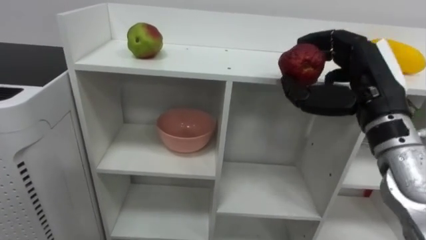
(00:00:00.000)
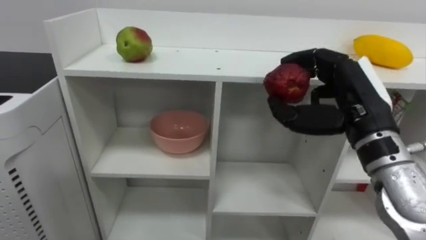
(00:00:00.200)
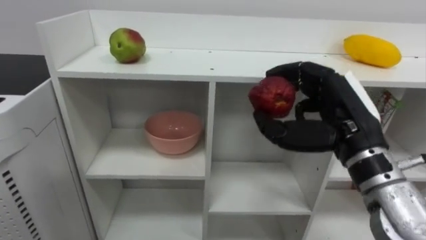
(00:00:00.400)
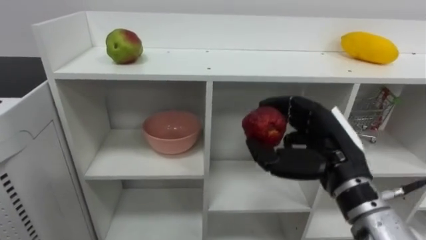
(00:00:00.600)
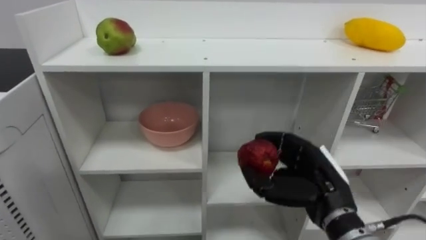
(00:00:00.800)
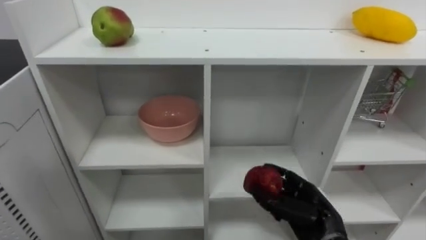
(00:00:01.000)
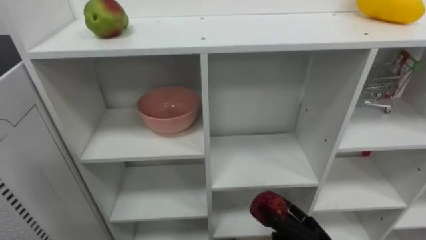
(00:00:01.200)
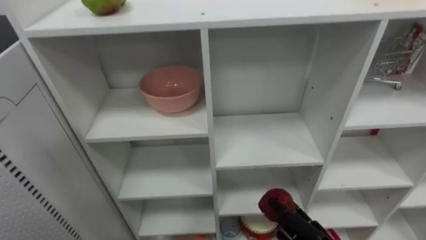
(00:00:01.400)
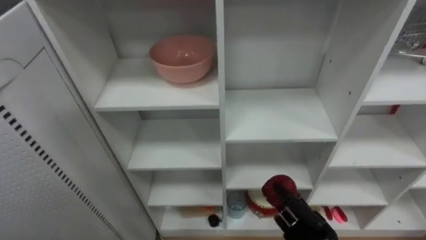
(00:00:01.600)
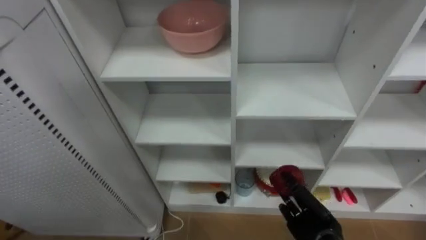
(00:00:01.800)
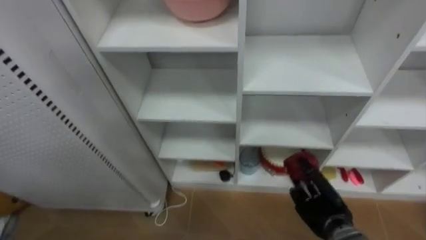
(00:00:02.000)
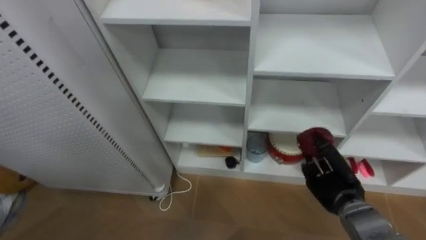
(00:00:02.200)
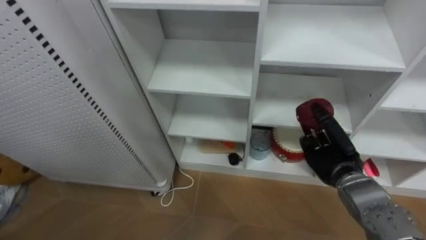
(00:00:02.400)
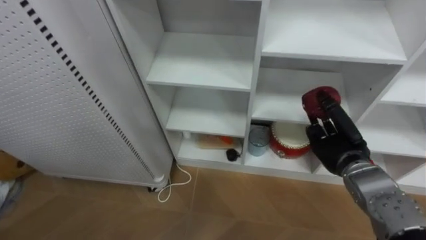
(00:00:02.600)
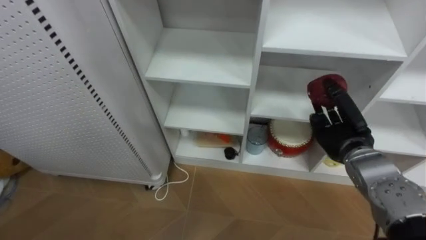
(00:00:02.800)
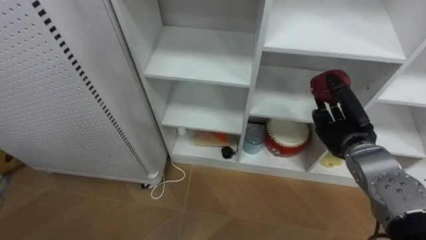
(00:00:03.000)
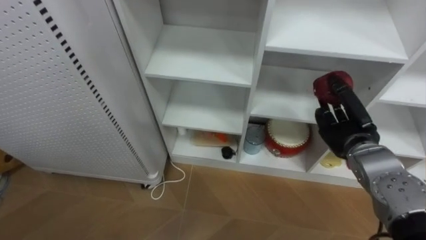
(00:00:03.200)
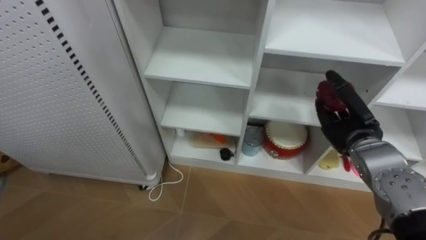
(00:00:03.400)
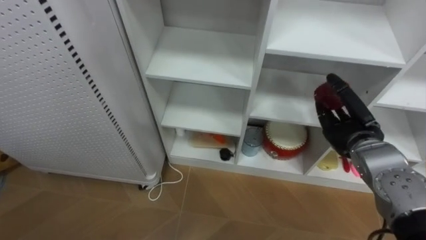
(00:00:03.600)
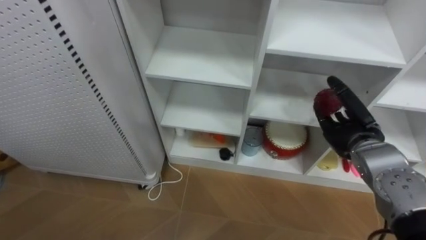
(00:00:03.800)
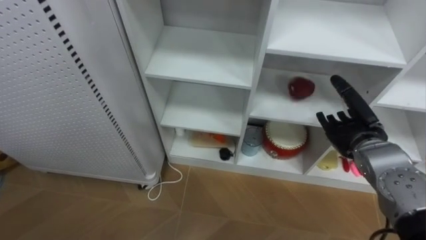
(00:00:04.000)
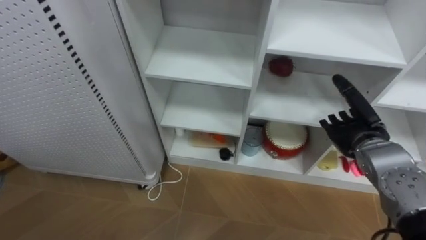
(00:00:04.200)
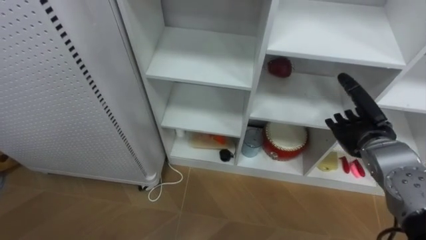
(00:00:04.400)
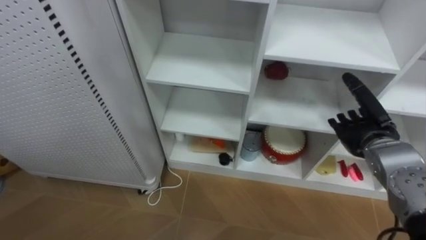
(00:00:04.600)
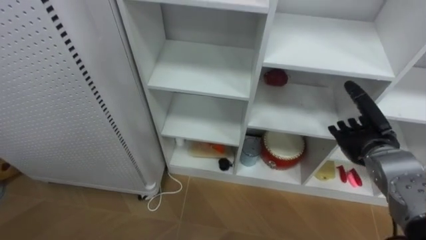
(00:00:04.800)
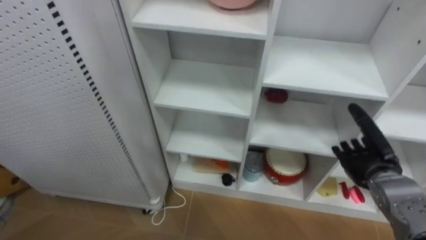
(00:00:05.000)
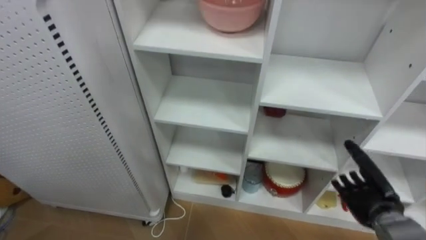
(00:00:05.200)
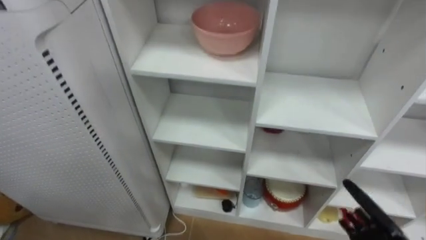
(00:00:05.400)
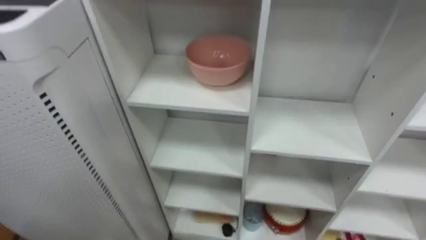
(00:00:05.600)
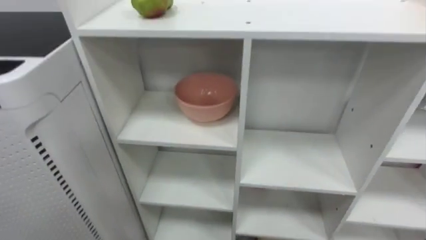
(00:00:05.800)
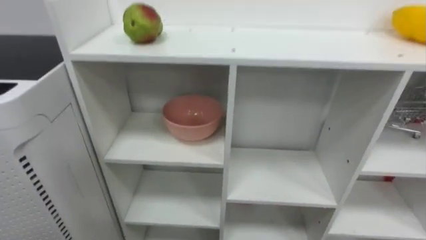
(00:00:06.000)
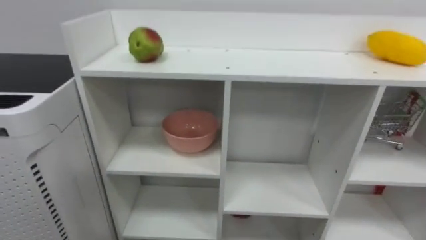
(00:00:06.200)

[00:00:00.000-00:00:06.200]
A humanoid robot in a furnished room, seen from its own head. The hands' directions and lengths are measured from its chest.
Task of the whole recording: Put the apple in the cell in the second column from the left and the second row from the top.
00:00:01.600 to 00:00:03.200: The right hand goes approximately 20 cm upward and forward.
00:00:03.200 to 00:00:04.600: The right hand opens its fingers.

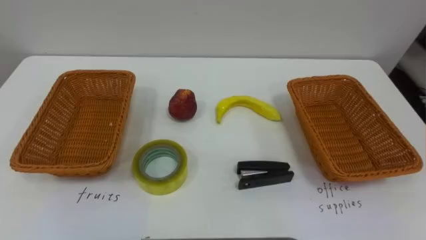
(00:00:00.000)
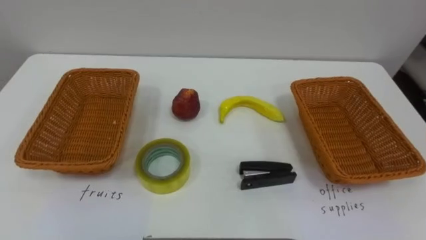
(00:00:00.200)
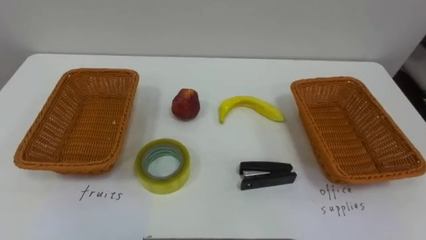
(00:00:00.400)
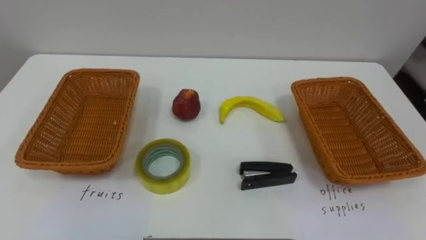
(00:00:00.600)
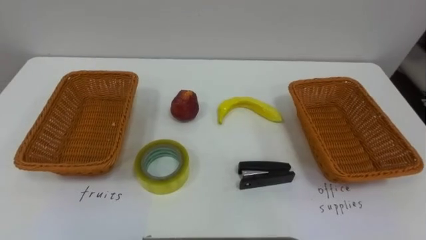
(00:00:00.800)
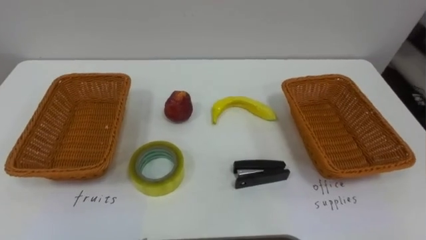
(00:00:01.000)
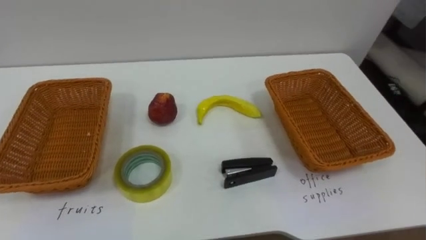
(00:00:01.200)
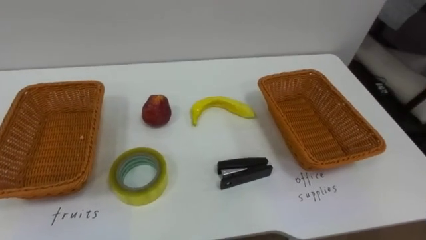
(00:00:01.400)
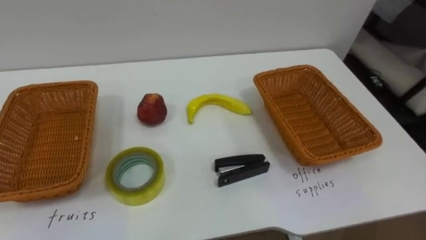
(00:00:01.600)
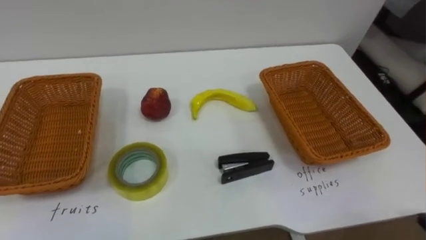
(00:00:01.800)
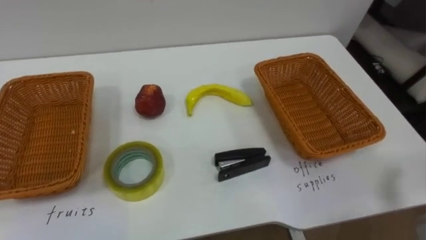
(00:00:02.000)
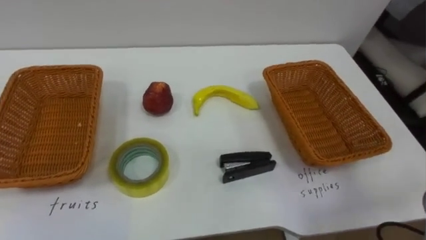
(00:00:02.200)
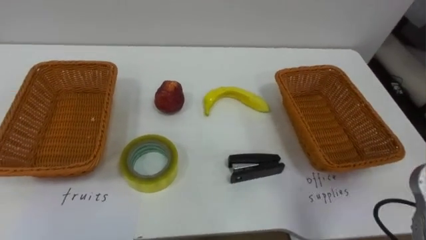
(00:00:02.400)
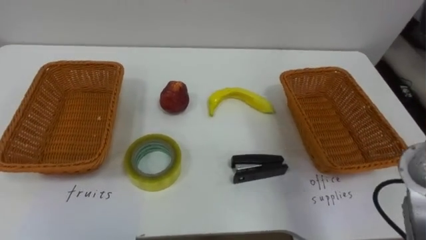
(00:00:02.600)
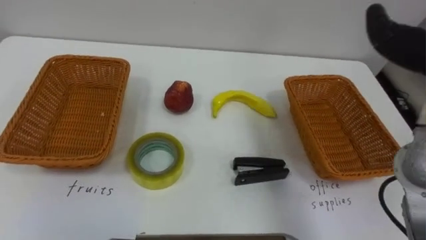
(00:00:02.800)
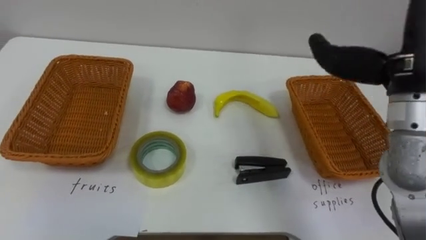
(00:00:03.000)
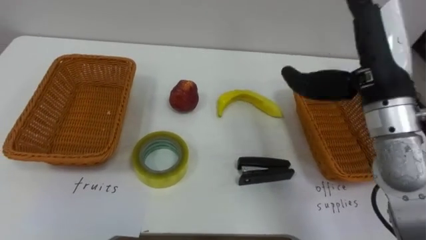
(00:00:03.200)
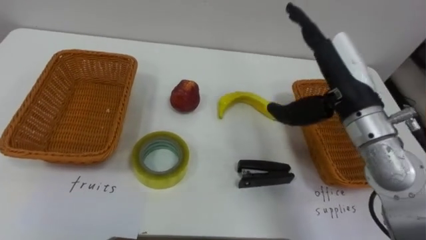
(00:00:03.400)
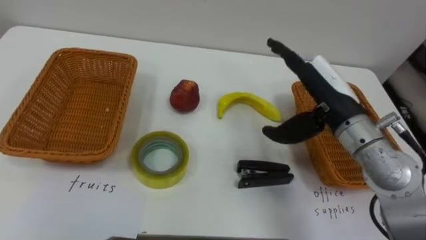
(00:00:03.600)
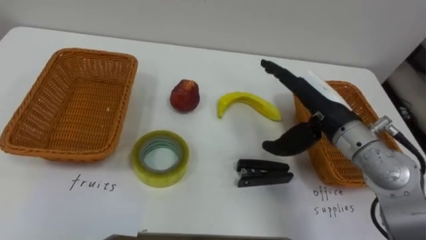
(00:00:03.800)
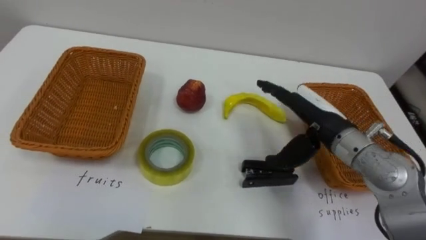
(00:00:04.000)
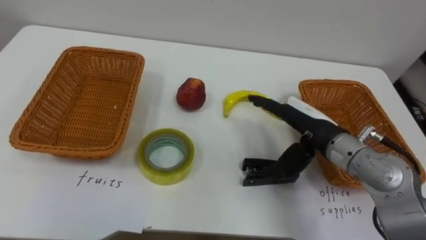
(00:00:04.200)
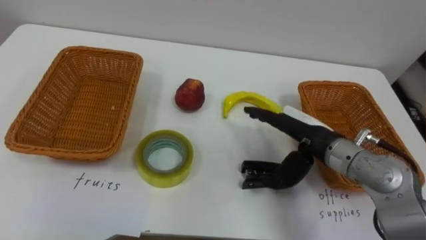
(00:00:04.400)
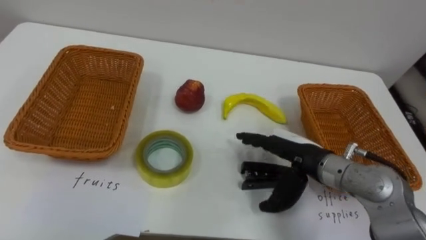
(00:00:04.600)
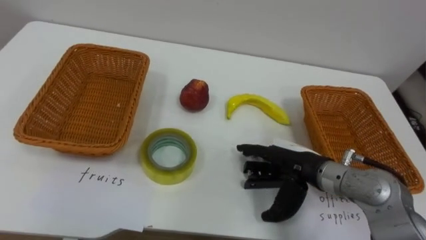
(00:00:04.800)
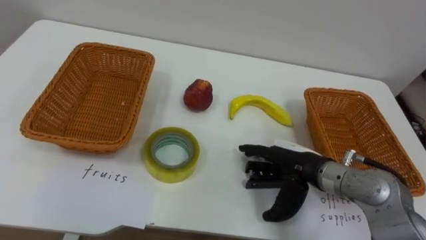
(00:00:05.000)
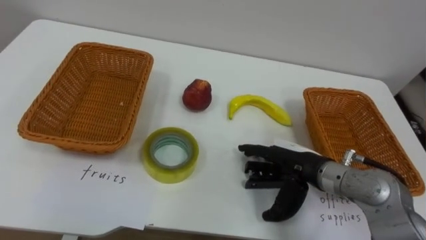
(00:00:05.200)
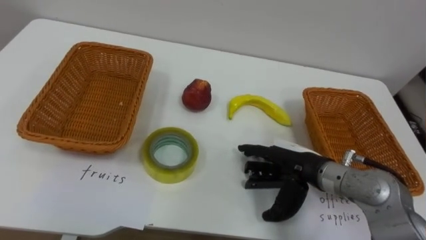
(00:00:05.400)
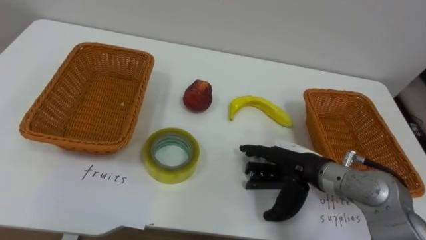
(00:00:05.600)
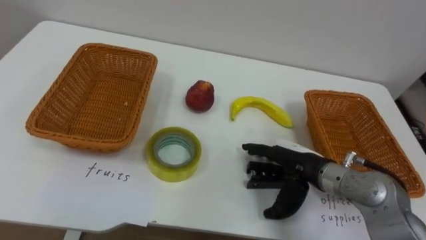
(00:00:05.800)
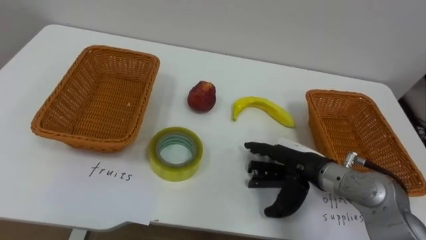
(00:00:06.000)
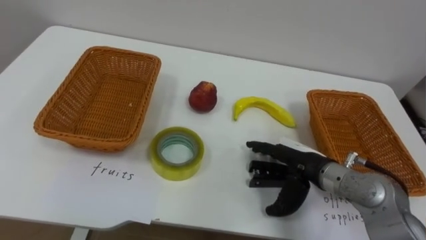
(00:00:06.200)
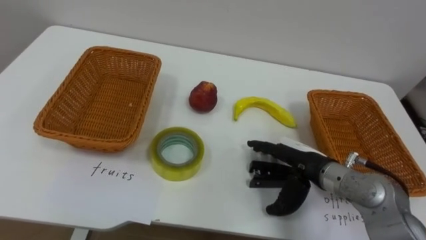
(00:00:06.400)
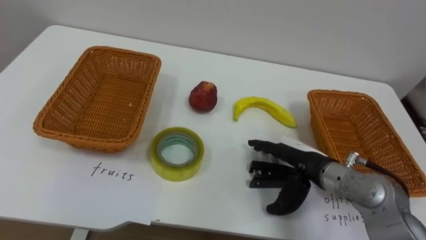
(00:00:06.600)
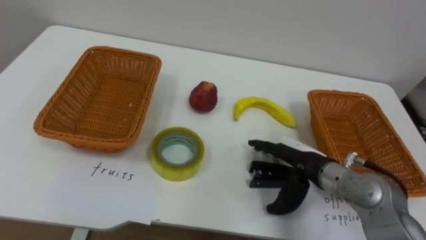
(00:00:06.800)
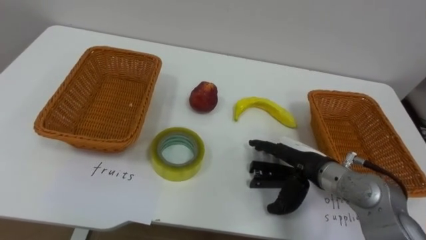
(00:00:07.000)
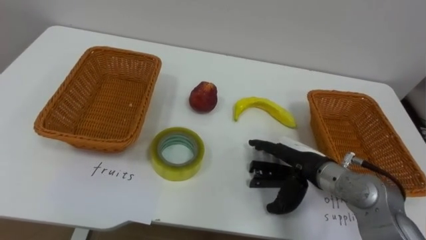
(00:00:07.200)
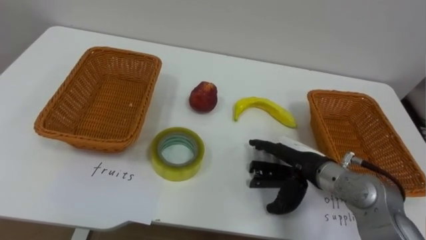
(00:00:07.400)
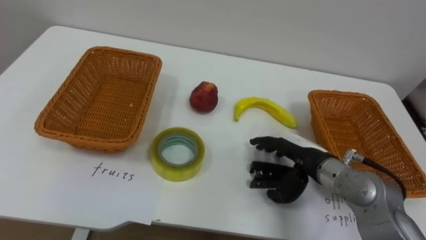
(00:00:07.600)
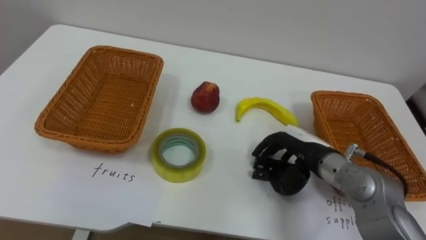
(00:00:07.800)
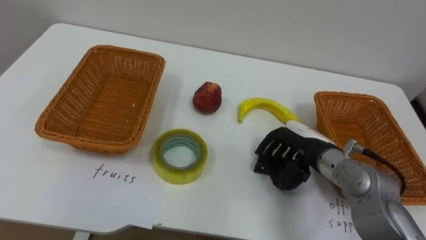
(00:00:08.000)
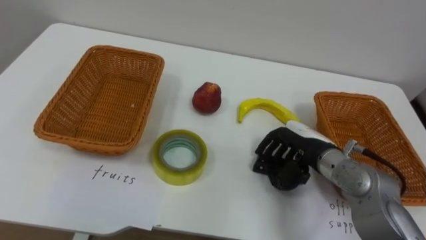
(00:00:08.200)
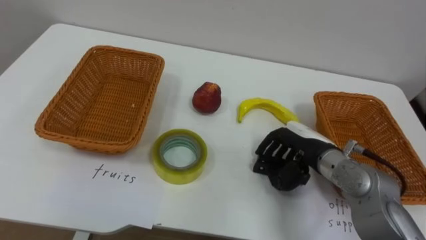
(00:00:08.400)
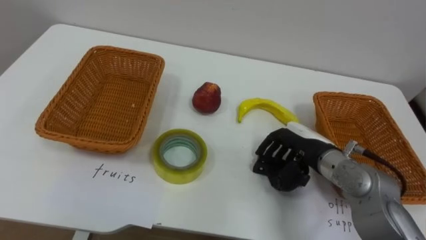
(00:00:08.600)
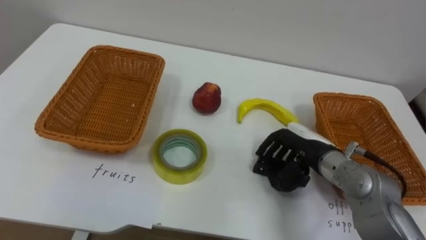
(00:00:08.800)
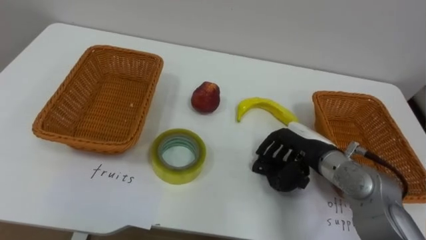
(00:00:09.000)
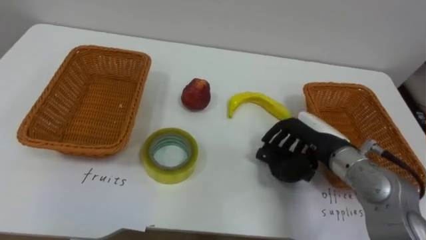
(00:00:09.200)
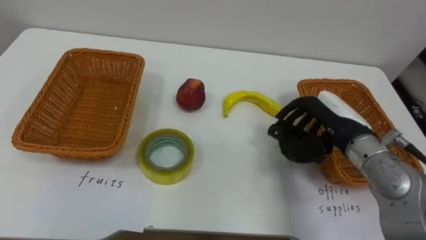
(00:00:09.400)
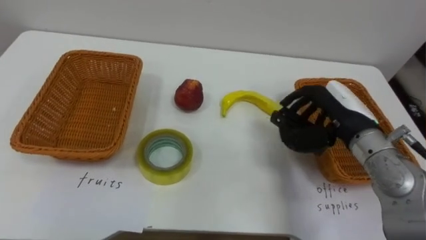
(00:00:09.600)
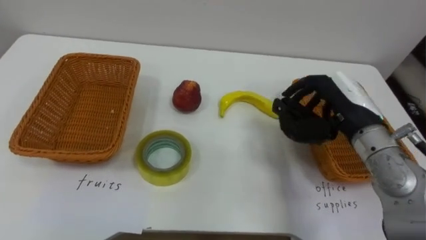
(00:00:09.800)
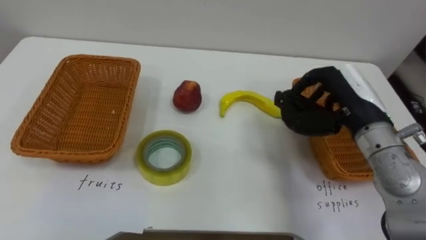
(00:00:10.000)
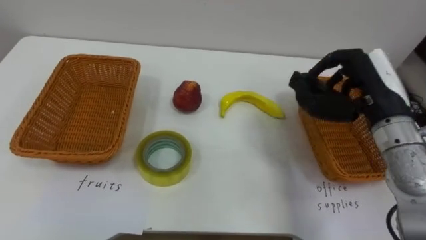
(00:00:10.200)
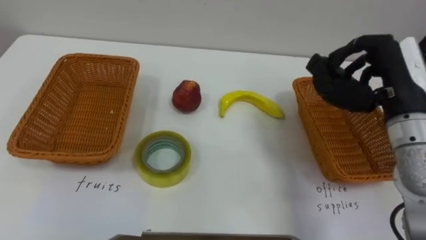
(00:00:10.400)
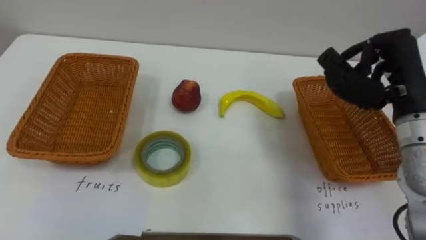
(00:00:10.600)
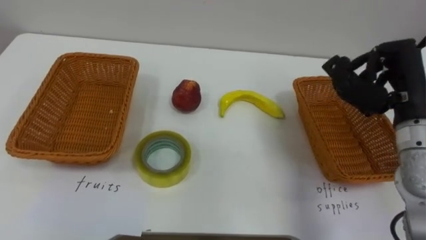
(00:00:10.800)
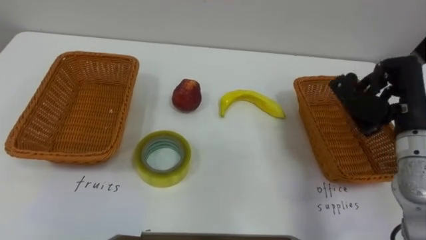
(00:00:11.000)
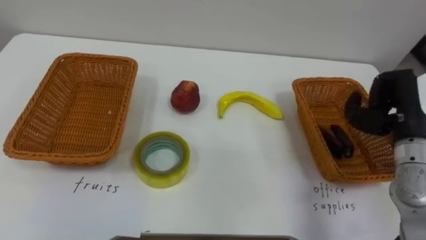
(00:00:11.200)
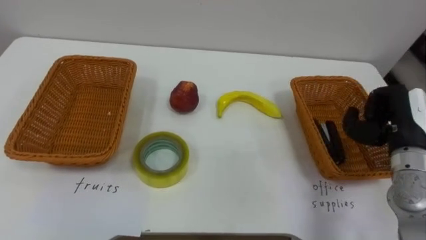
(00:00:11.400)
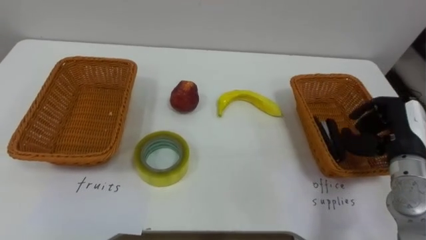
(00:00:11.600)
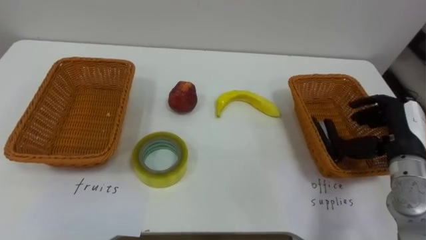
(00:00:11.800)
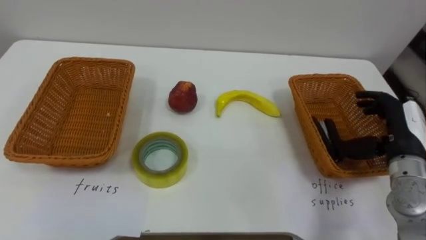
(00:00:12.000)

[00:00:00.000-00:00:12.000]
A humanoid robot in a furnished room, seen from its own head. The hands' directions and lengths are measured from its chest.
Task of the whole recording: Separate the items on the table and place them into the two baskets.
00:00:03.000 to 00:00:04.400: The right hand goes roughly 20 cm downward and to the left.
00:00:04.400 to 00:00:06.000: The right hand shifts some 5 cm downward.
00:00:07.600 to 00:00:09.000: The right hand closes its fingers.
00:00:09.000 to 00:00:10.400: The right hand shifts some 15 cm upward and to the right.
00:00:10.400 to 00:00:12.000: The right hand is displaced downward and to the right by some 15 cm, and opens its fingers.
